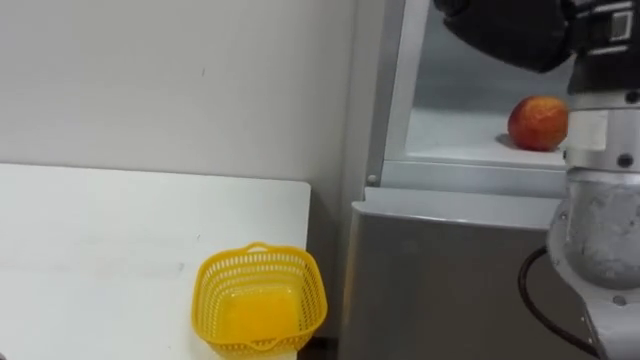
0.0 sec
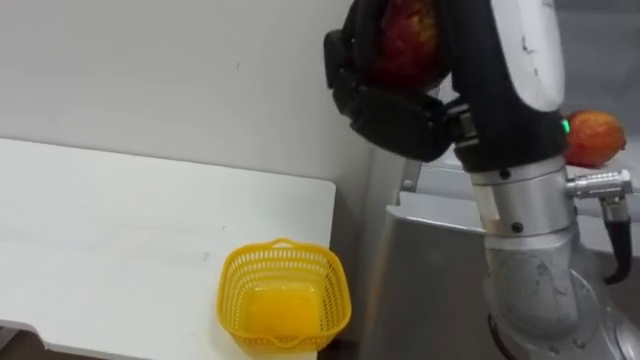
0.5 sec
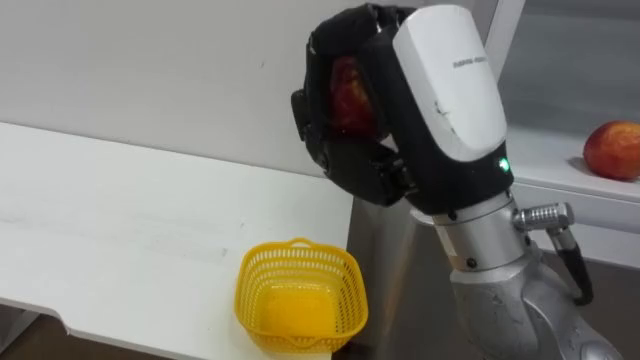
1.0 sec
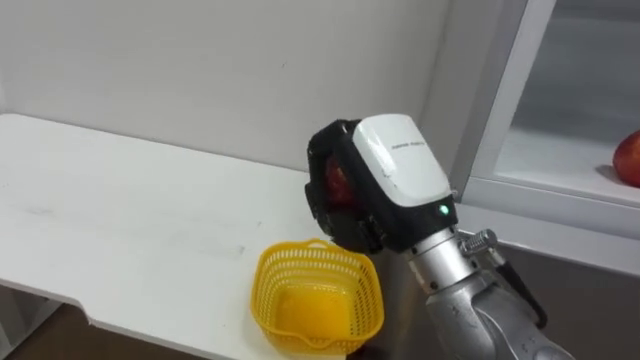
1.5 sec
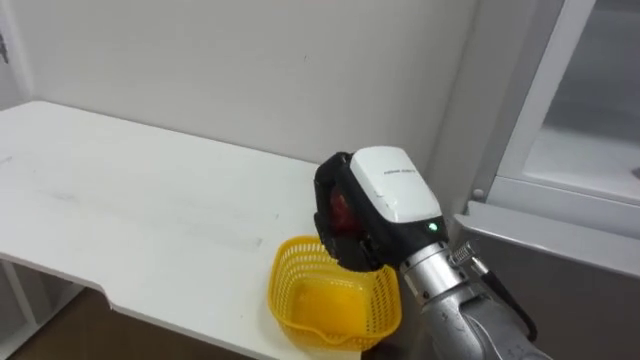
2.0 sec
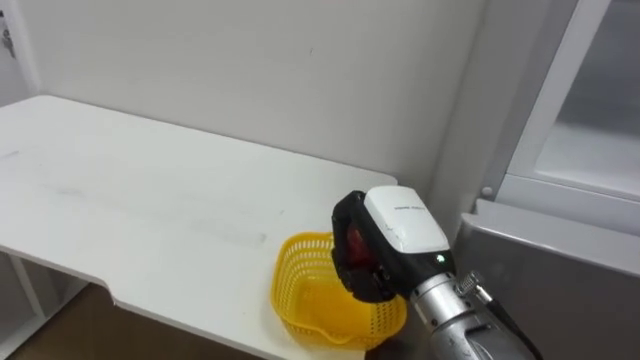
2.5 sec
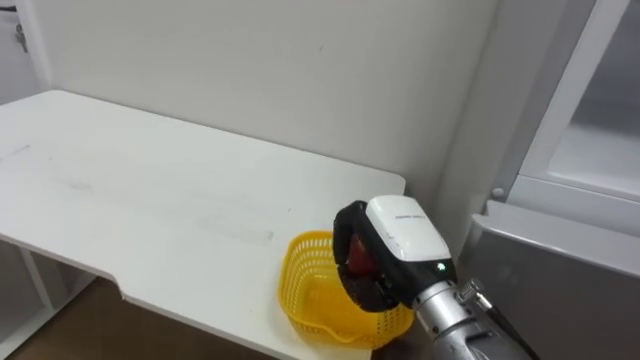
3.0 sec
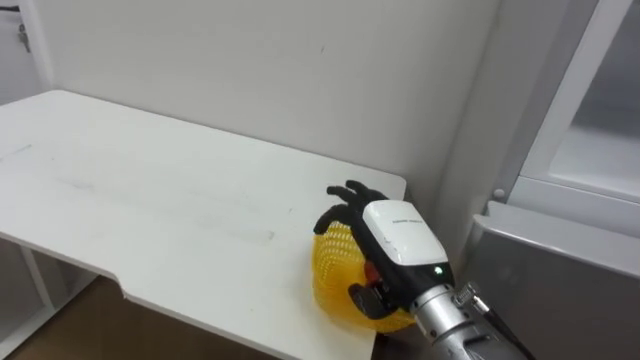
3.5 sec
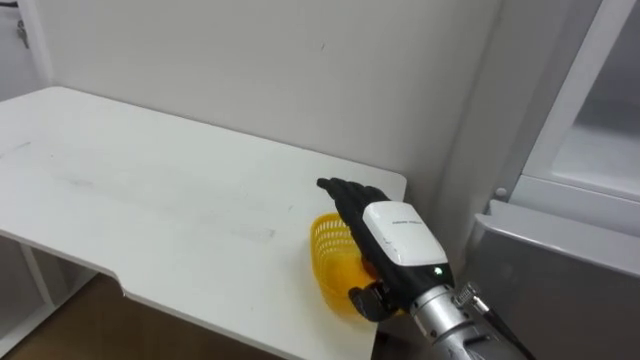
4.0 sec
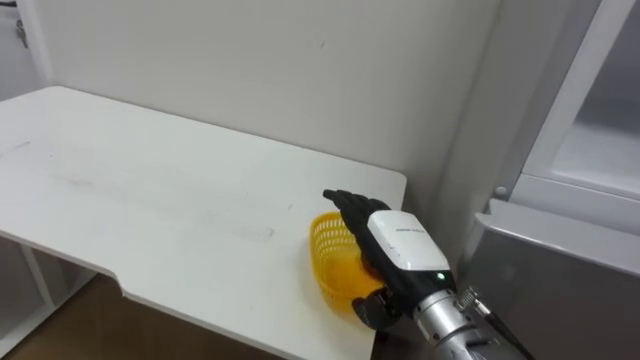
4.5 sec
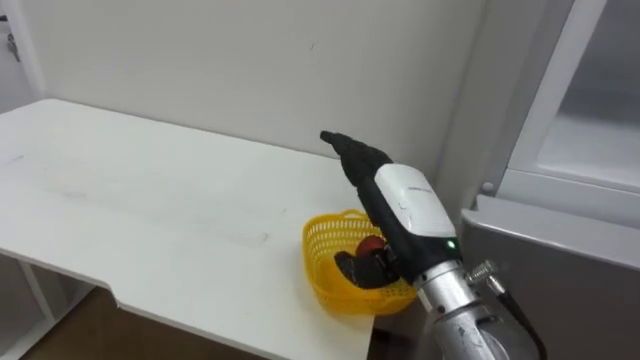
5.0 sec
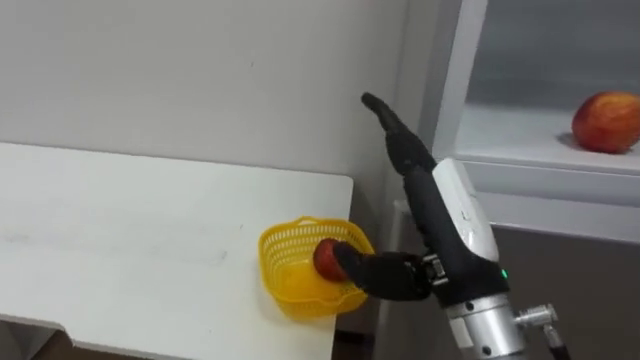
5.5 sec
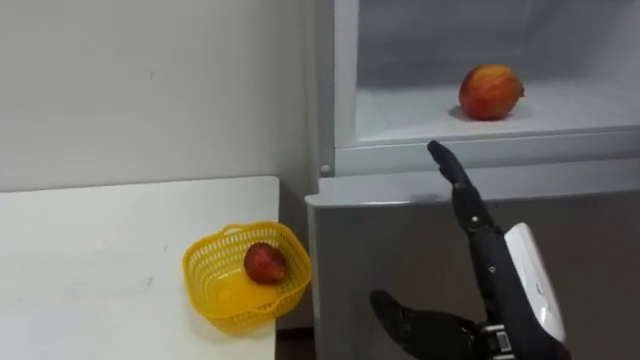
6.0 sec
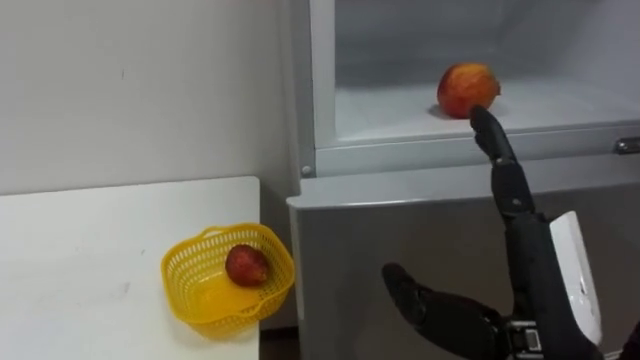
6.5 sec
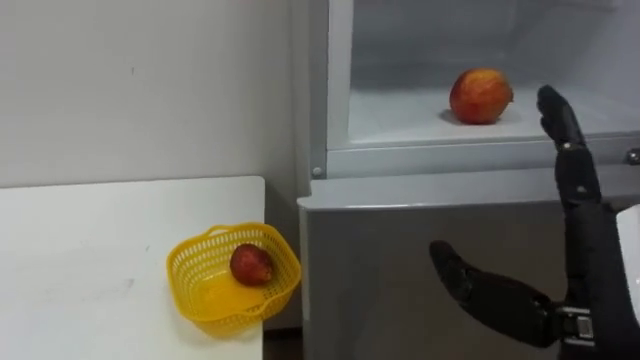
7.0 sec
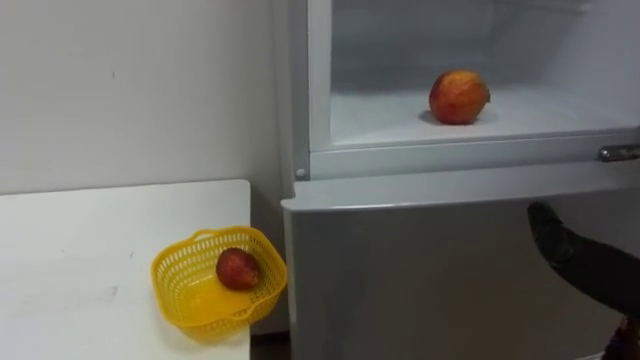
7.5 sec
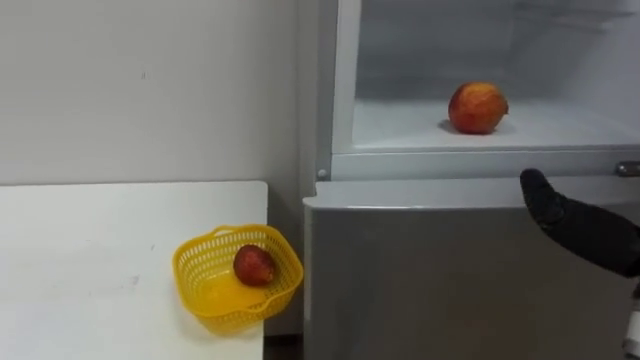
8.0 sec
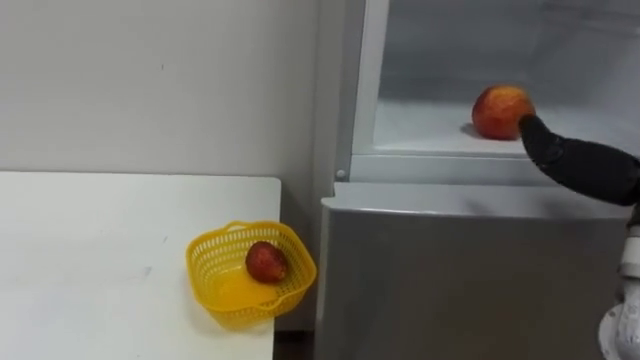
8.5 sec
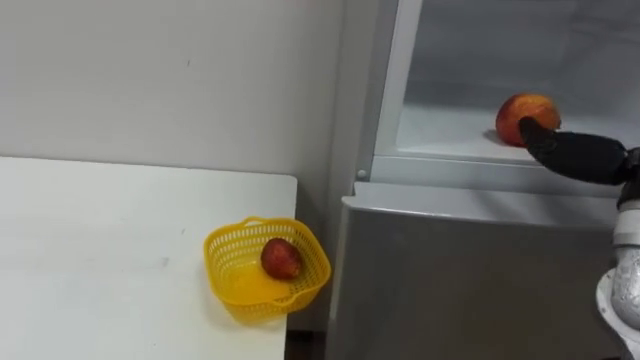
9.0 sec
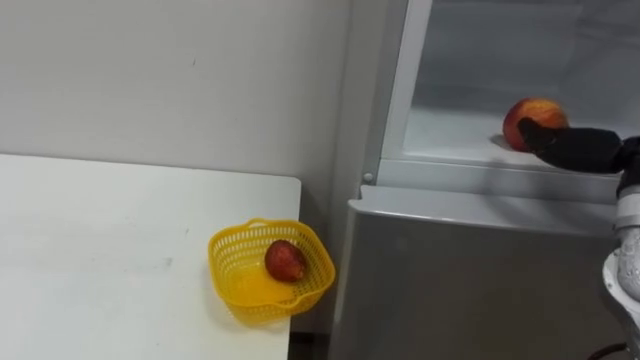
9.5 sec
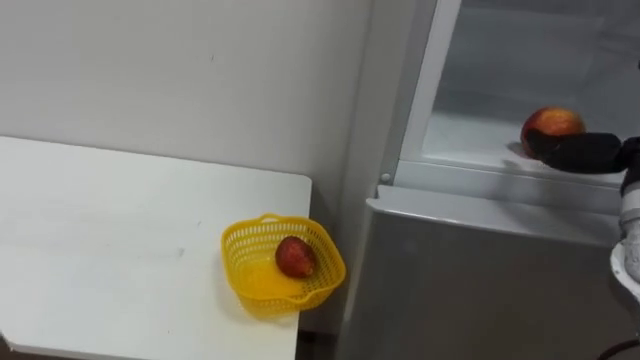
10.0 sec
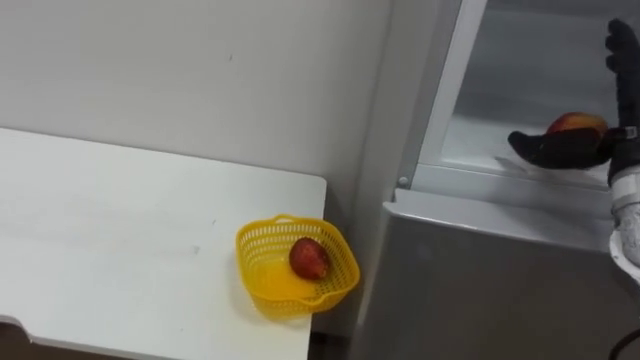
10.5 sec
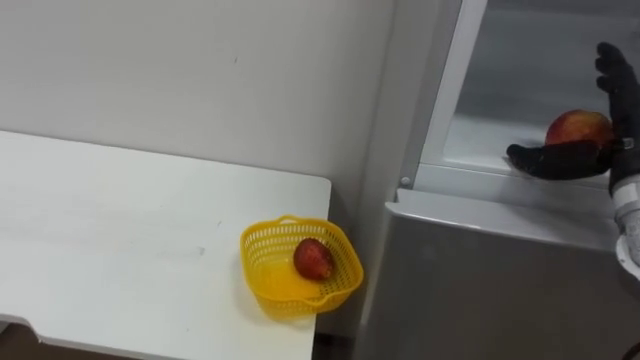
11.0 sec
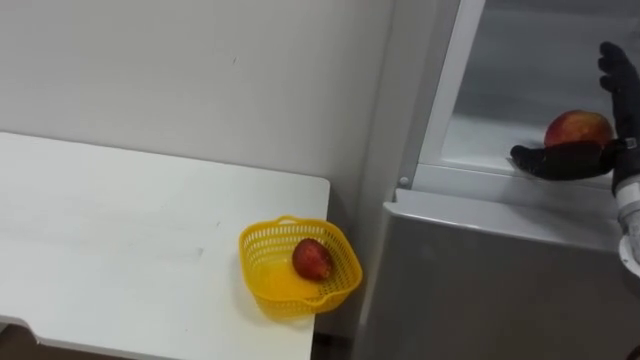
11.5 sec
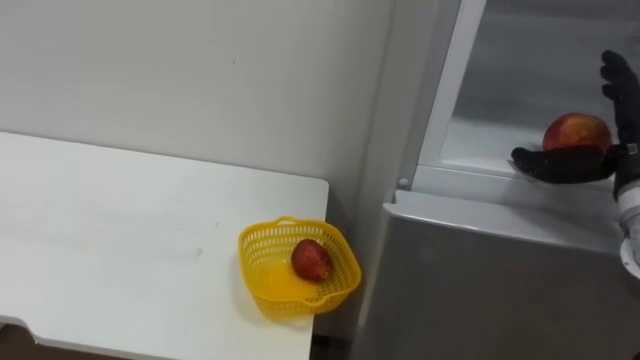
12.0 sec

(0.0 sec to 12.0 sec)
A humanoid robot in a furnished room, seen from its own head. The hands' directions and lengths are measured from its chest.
Task of the whole recording: Open the refrigerator door, take out the apple and the pomegranate, place them in the fruit basket on the left, and close the refrigerator door.
2.0 sec - 4.0 sec: The right hand goes some 5 cm downward, and opens its fingers.
4.0 sec - 6.0 sec: The right hand moves backward and to the right, some 10 cm.

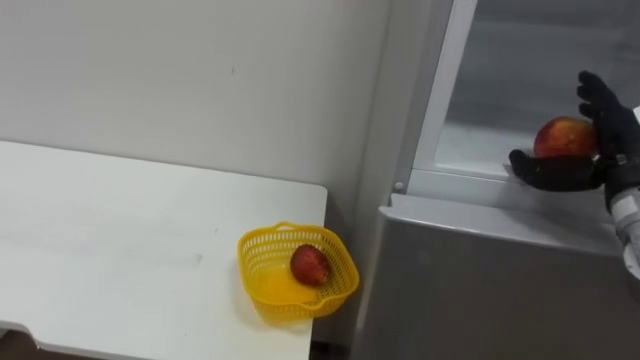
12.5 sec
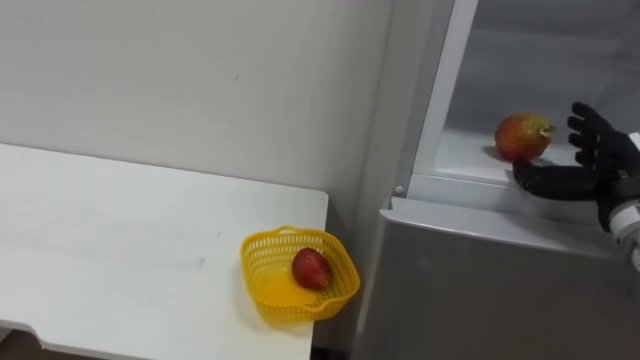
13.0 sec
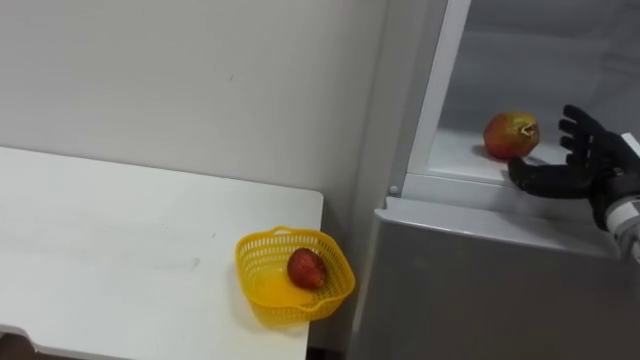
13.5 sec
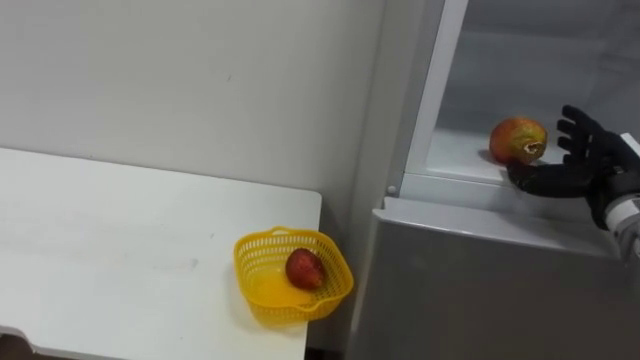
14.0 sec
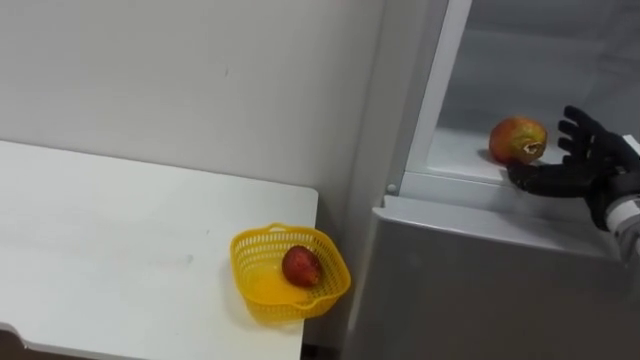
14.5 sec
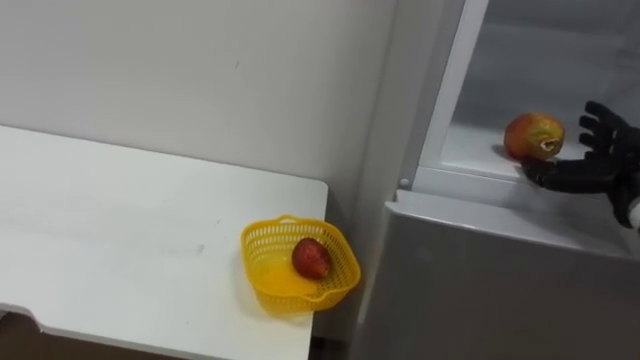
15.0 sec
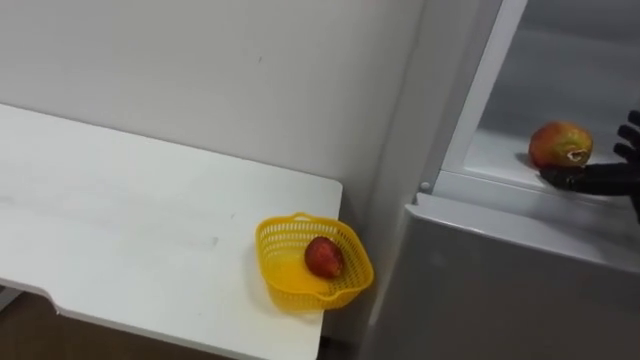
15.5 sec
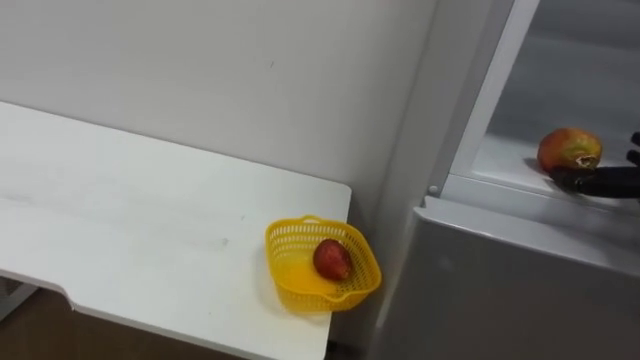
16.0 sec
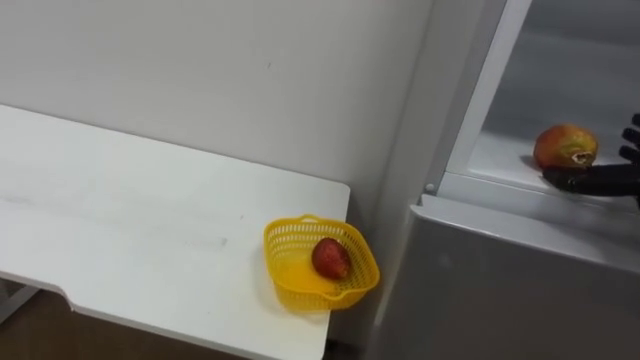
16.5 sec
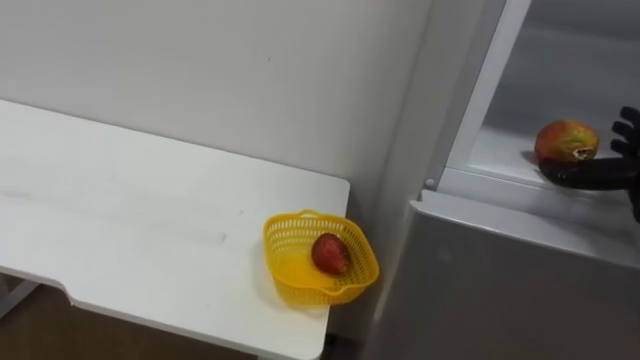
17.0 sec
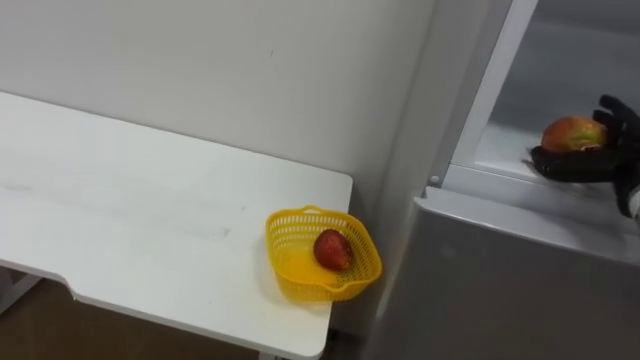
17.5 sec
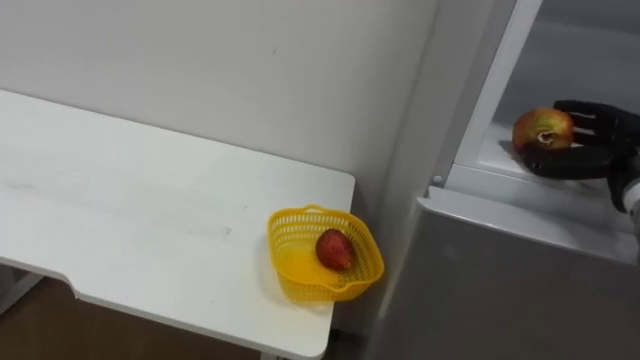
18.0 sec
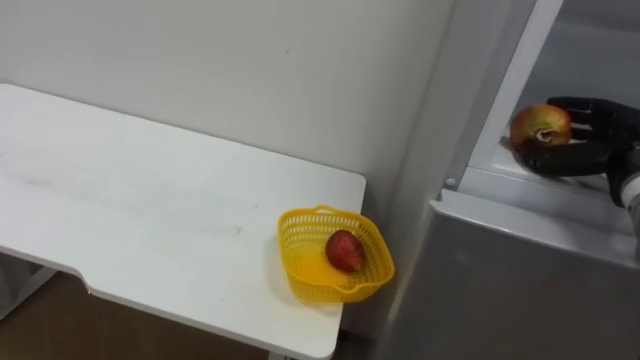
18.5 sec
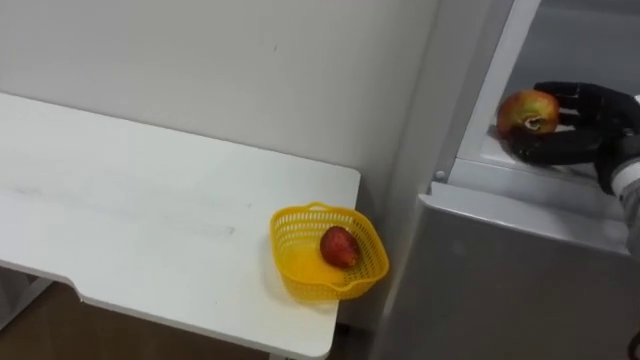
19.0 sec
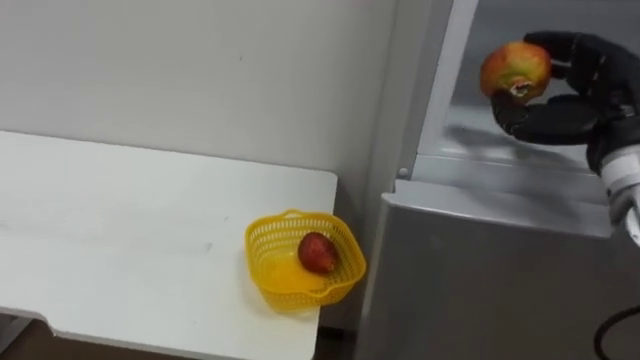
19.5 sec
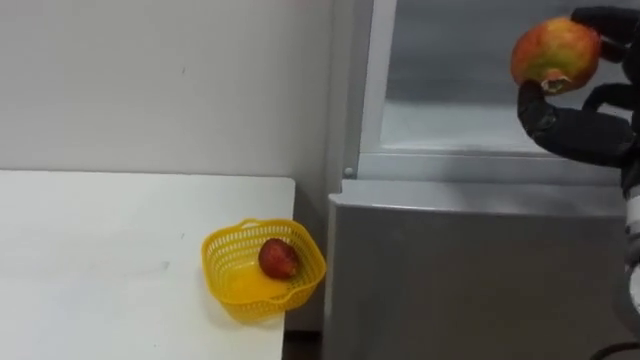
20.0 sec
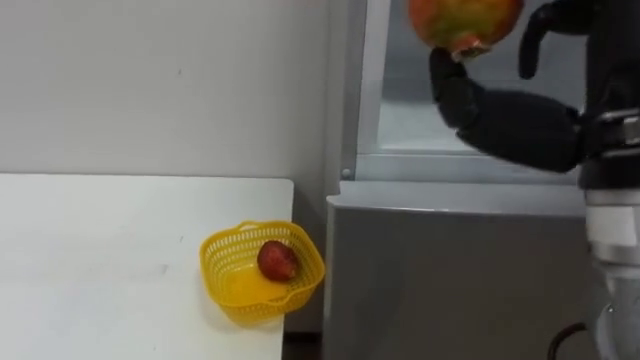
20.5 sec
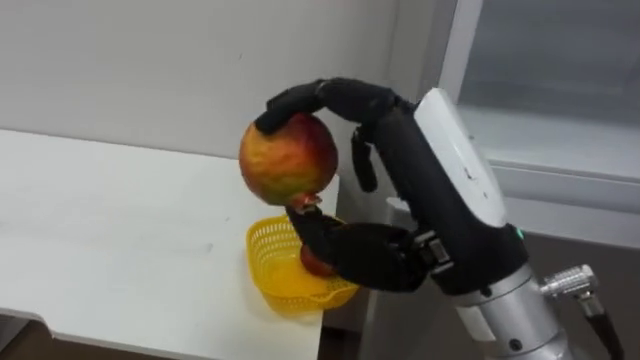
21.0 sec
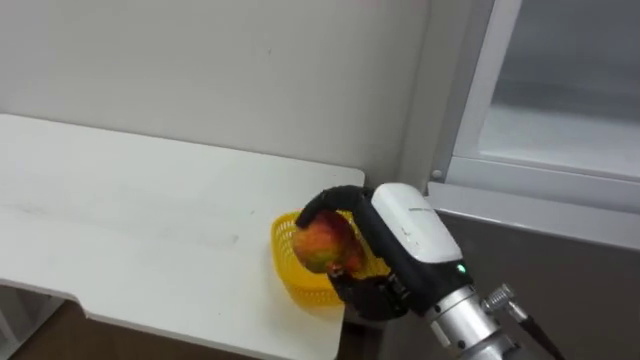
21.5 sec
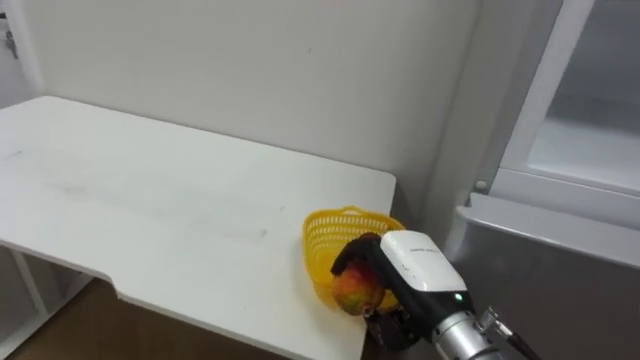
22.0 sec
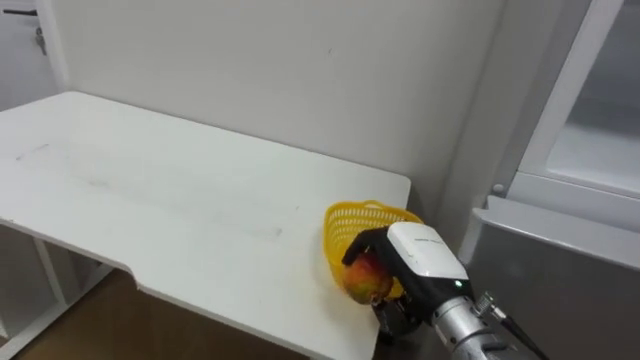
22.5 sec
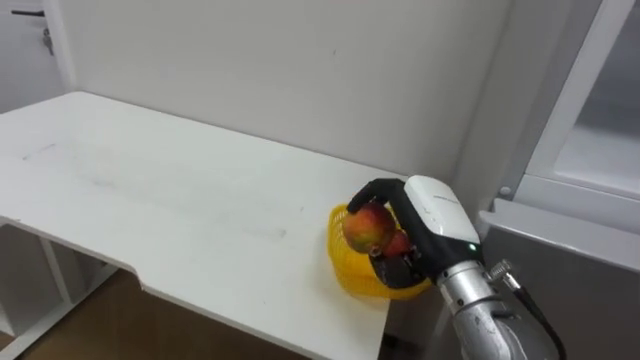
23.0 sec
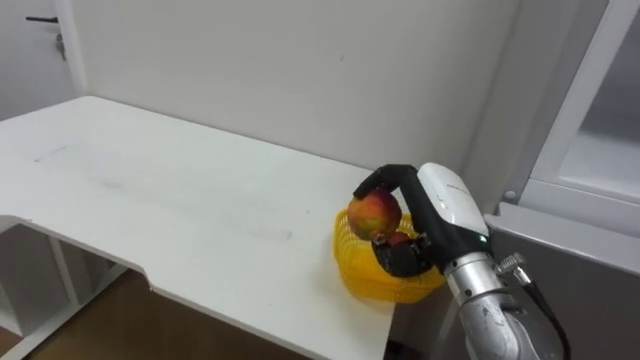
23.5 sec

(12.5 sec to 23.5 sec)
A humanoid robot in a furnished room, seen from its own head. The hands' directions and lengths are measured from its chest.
Task of the whole recording: Open the refrigerator door, take out the apple and the pomegranate, place them in the fruit basket on the left, and close the refrigerator door.
21.5 sec - 23.5 sec: The right hand goes some 5 cm forward, and travels downward and back again, approximately 10 cm each way.
